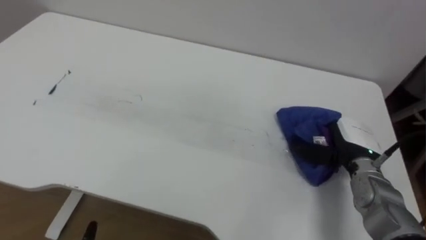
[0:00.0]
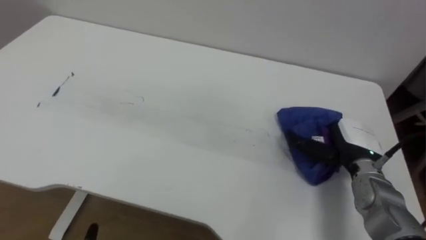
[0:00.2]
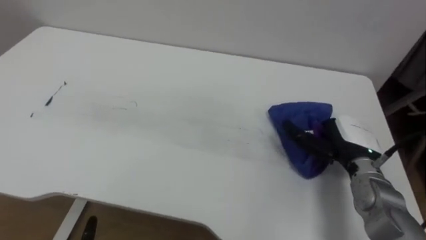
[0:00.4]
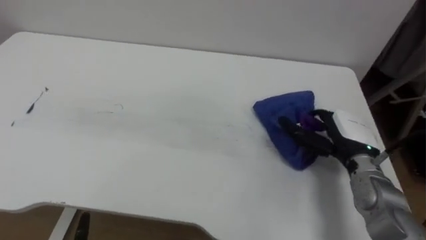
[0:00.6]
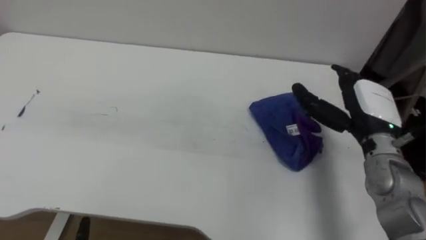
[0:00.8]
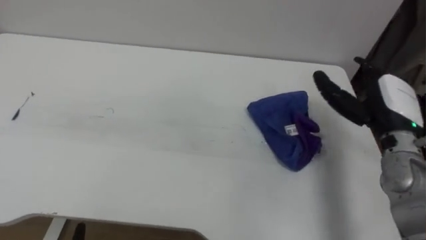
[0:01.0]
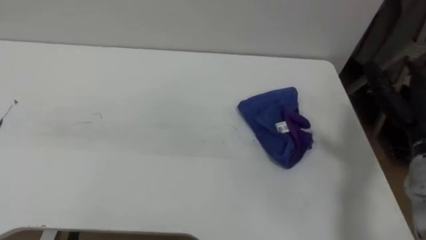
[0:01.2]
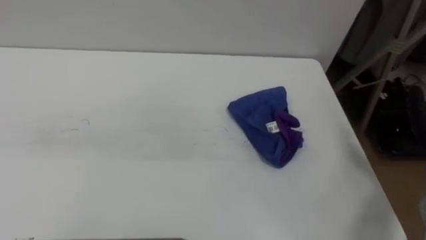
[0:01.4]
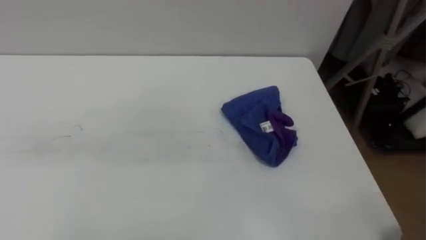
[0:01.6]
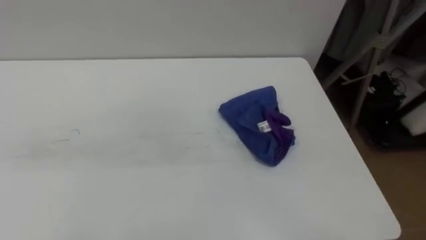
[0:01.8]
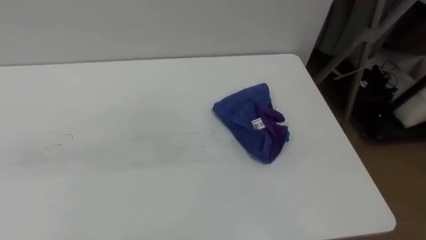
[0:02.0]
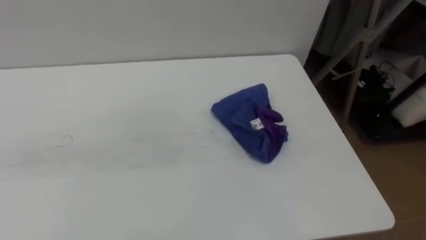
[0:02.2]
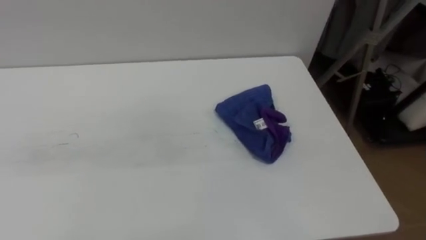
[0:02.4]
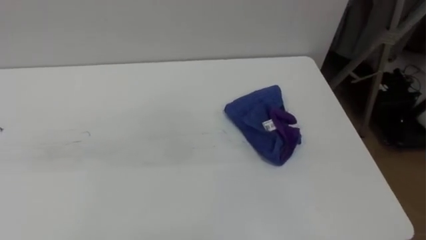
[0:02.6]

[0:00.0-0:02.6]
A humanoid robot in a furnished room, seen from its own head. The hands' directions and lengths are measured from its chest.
Task of the whole recording: Wipe the blue pen marks off the table with the rag.
0:00.0 to 0:01.2: The right hand is displaced upward and to the right by some 15 cm, and opens up.

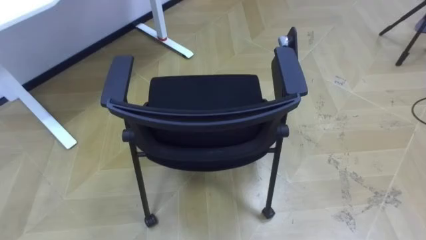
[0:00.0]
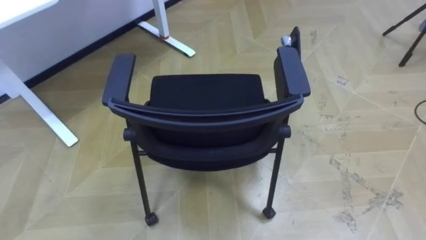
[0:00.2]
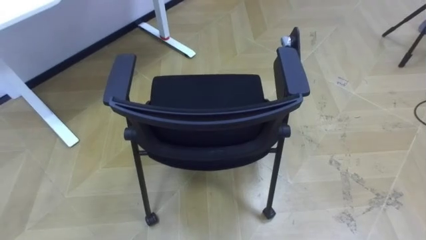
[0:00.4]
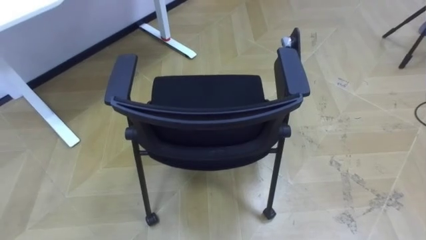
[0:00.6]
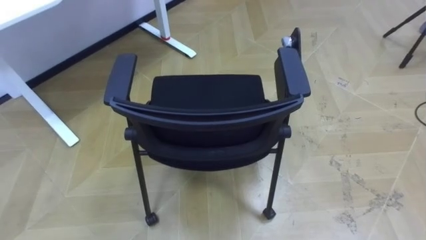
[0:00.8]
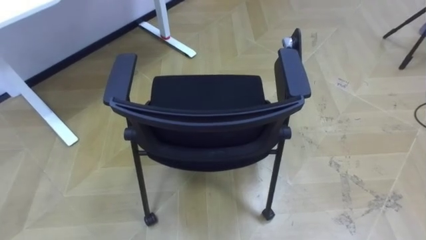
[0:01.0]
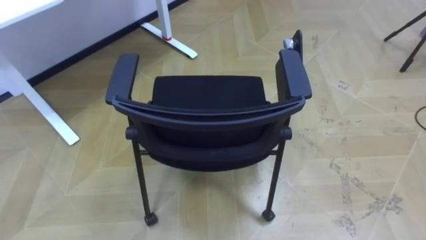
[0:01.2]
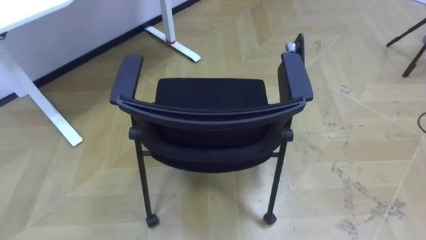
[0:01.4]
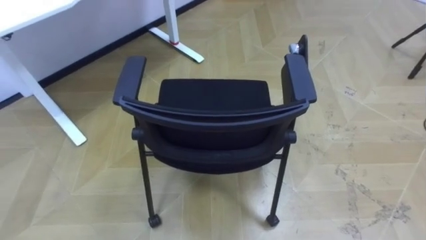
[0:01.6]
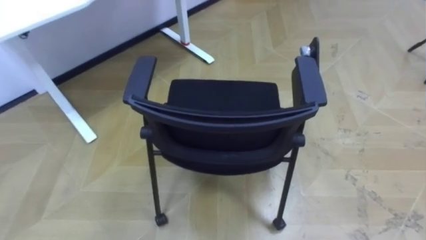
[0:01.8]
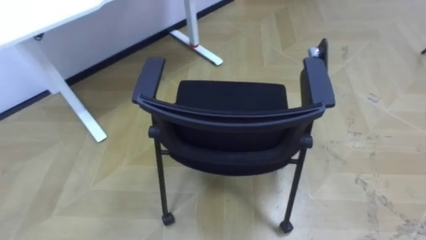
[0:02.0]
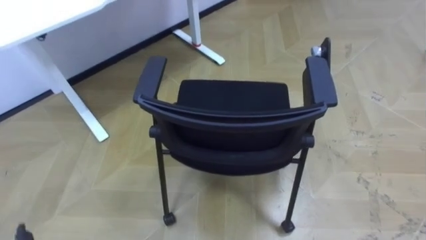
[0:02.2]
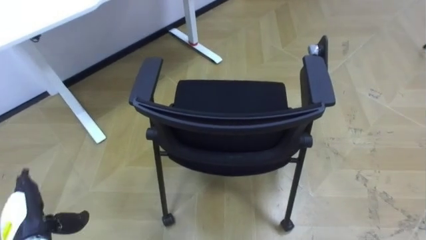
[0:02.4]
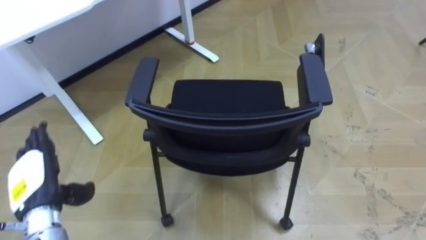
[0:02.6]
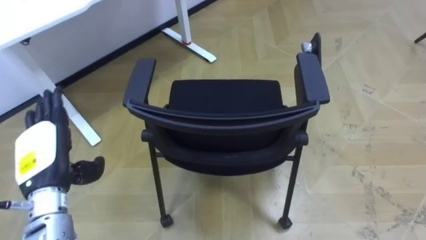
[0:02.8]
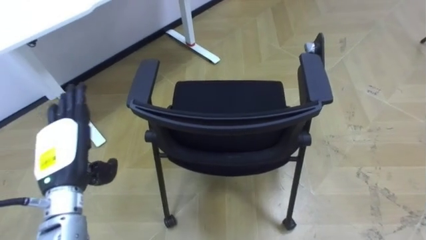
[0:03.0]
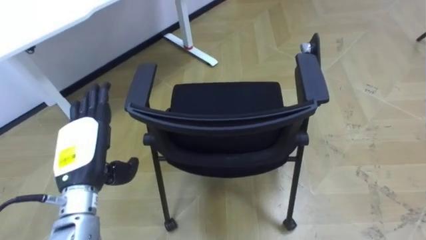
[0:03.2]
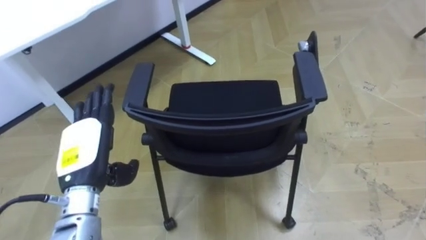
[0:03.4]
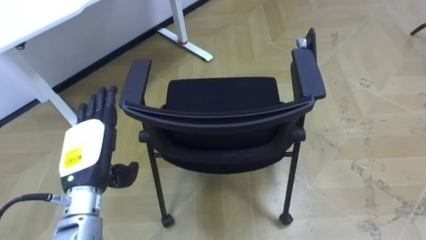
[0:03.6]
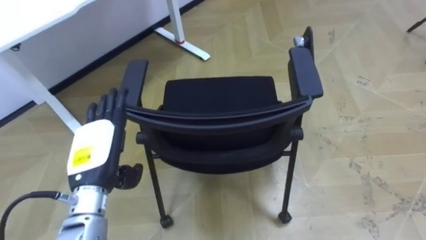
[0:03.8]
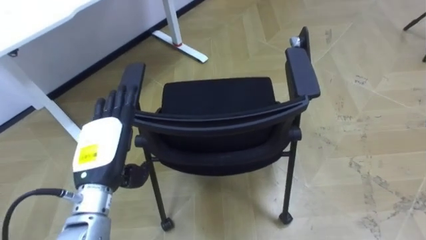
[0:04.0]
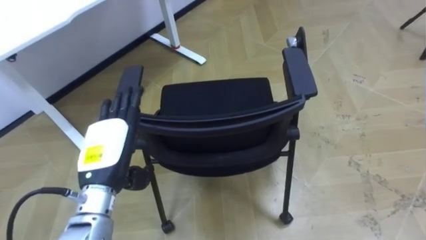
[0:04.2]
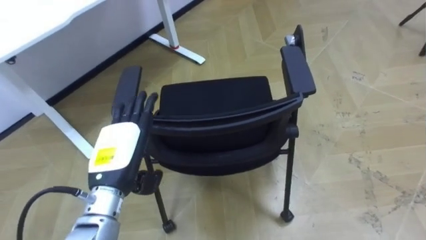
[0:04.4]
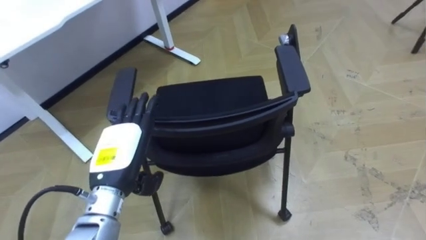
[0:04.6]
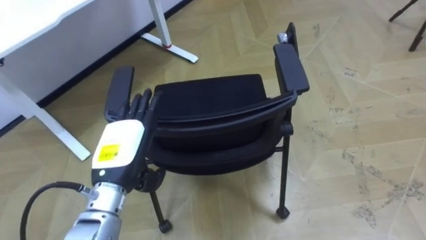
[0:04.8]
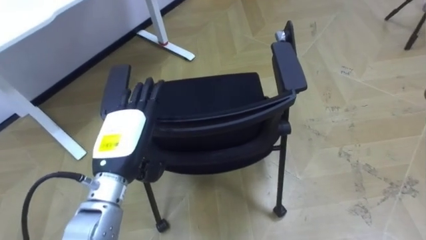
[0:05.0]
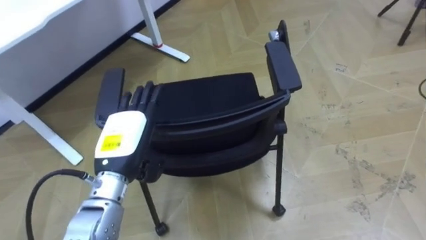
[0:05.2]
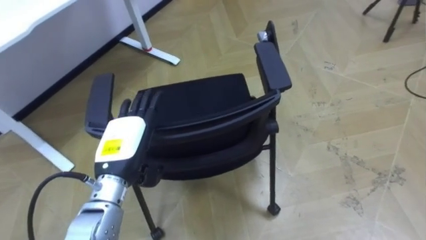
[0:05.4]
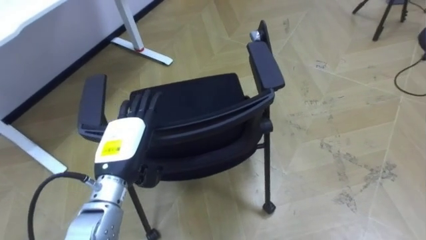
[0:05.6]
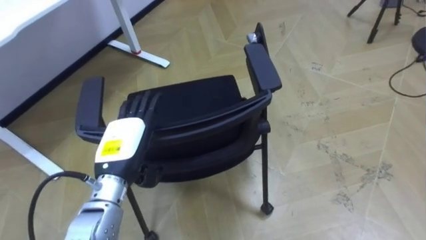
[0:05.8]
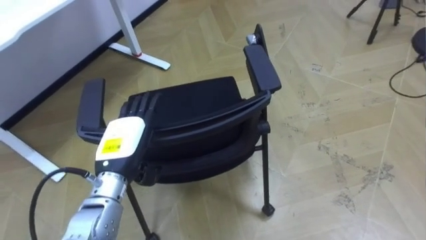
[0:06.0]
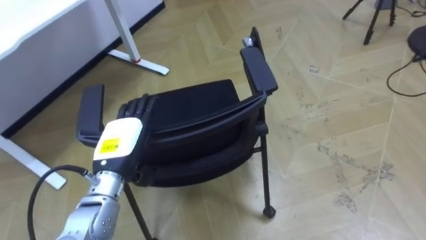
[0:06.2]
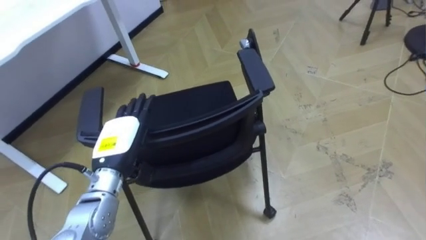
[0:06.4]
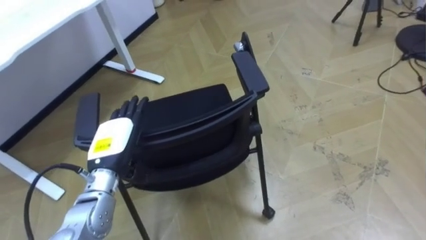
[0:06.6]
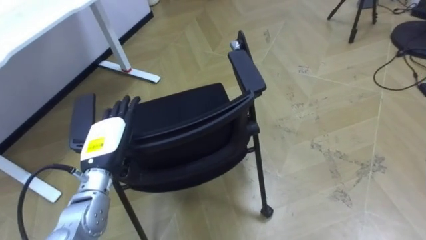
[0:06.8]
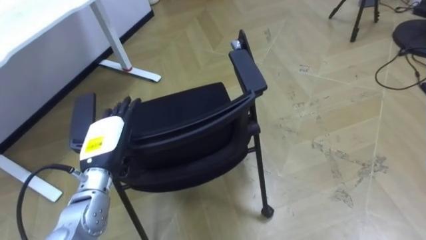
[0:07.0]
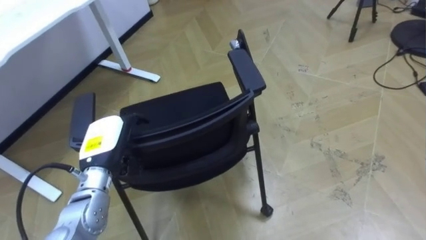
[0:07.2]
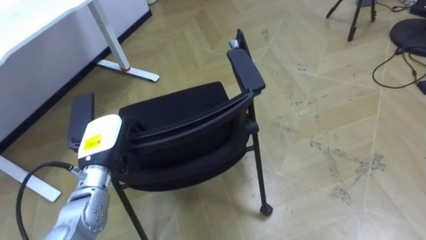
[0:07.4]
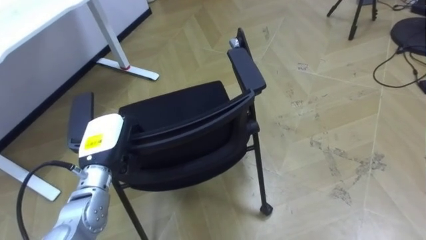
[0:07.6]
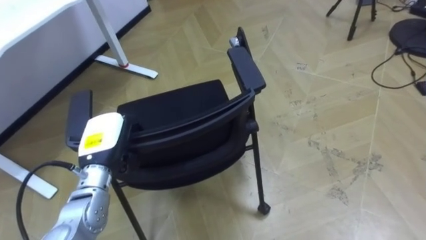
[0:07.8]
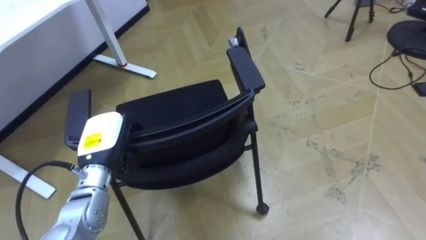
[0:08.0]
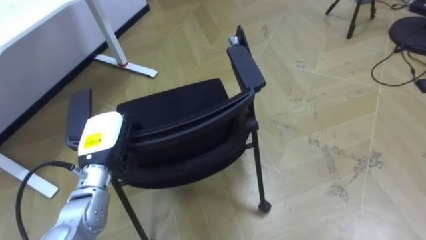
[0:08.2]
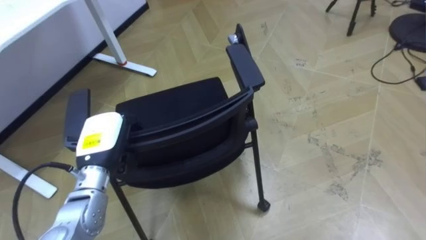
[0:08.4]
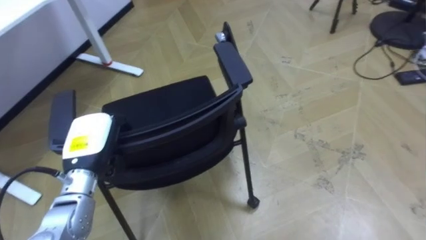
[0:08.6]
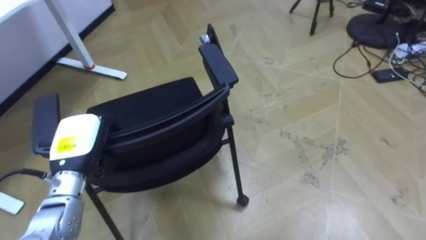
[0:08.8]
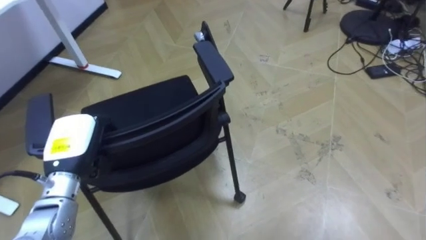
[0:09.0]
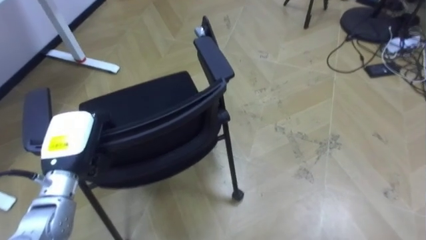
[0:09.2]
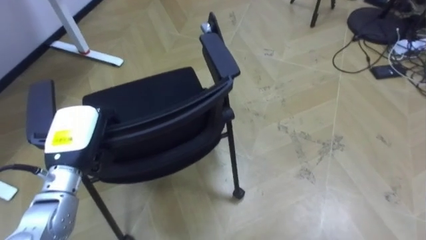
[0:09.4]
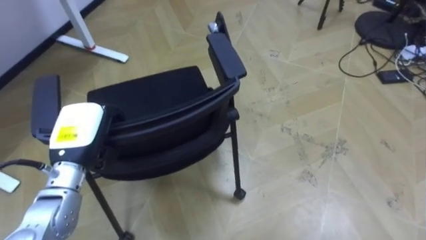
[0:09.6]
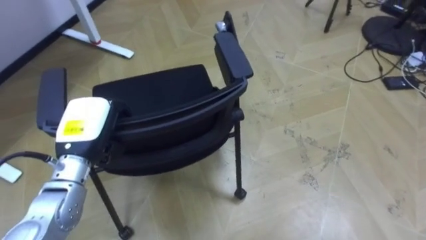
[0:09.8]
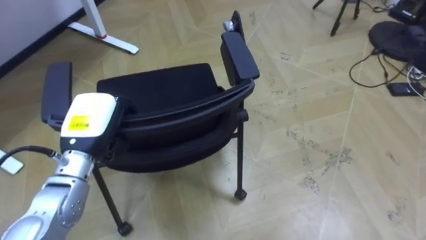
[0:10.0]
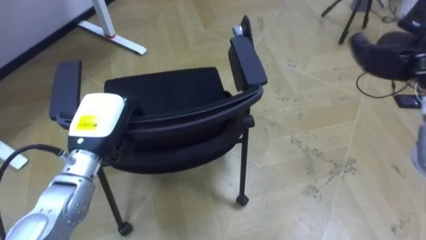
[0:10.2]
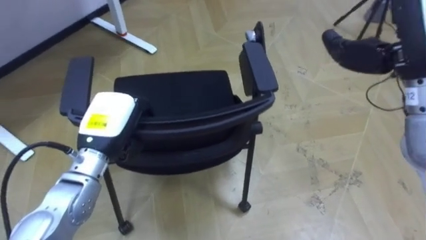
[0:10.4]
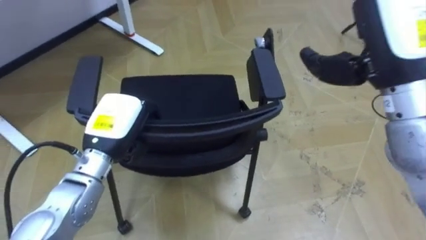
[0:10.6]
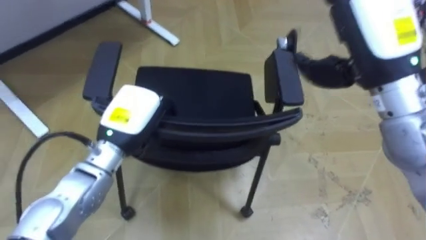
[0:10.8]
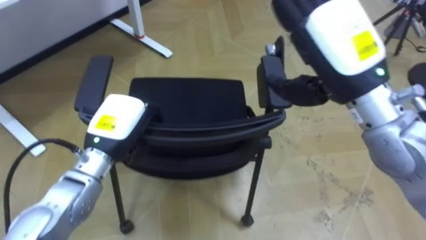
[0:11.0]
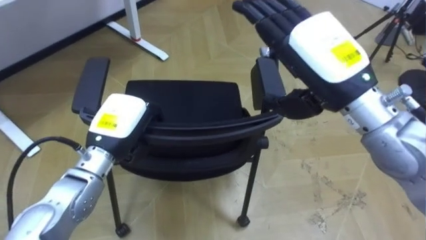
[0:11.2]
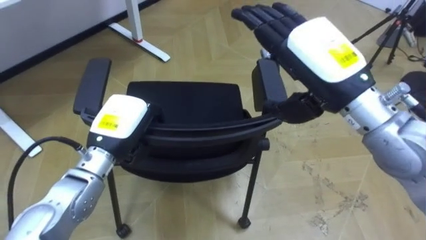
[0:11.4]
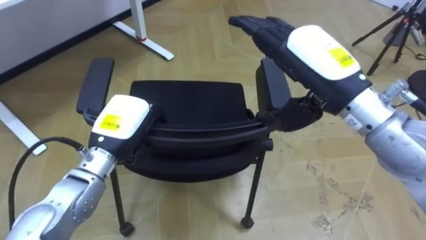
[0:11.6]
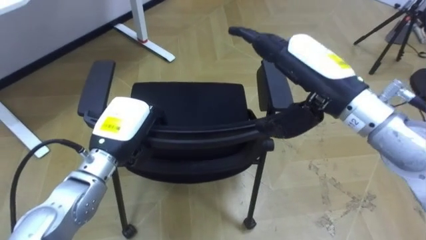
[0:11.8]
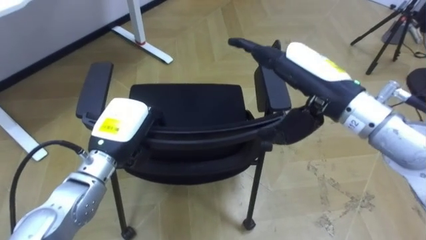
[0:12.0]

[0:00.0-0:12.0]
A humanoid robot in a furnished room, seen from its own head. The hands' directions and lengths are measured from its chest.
Task of the whole recording: Push the chair under the table.
0:03.0 to 0:04.4: The left hand is displaced to the right by about 10 cm.
0:06.0 to 0:07.6: The left hand moves about 5 cm, and closes up.
0:07.6 to 0:09.0: The left hand shifts by approximately 5 cm.
0:09.0 to 0:10.4: The left hand shifts some 5 cm to the right.
0:10.4 to 0:12.0: The right hand goes roughly 10 cm to the left and downward.

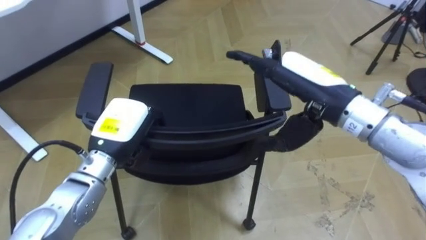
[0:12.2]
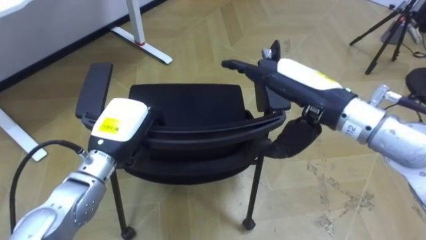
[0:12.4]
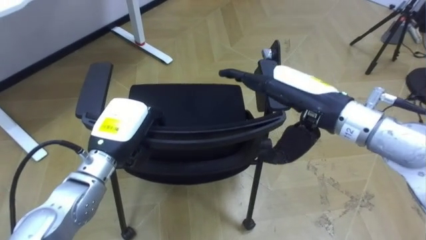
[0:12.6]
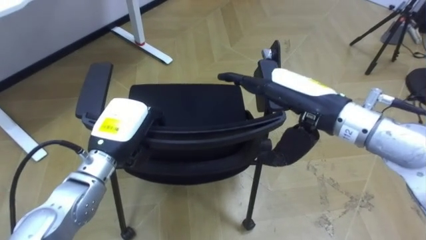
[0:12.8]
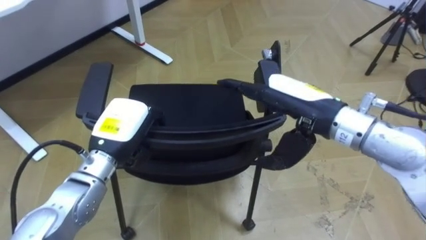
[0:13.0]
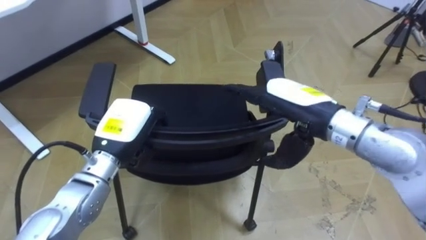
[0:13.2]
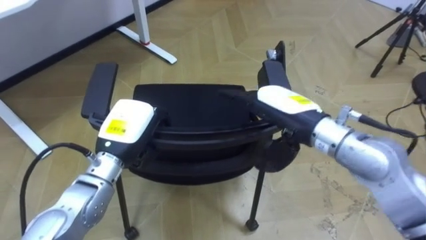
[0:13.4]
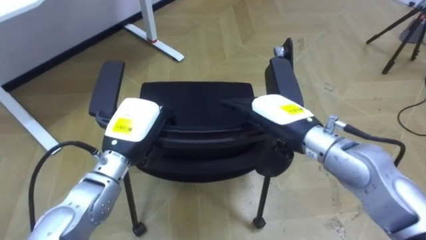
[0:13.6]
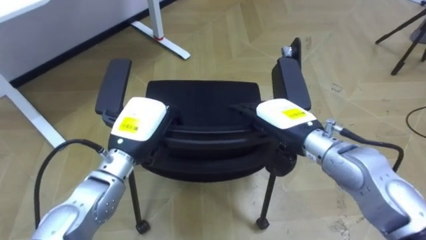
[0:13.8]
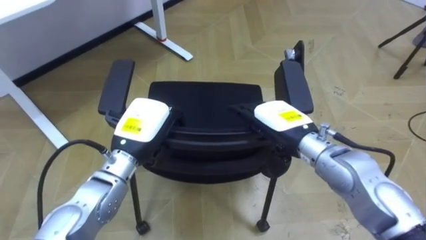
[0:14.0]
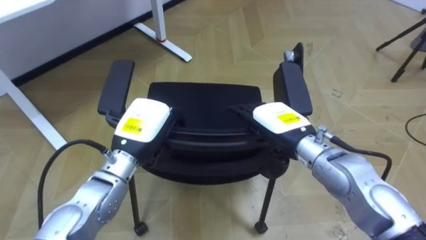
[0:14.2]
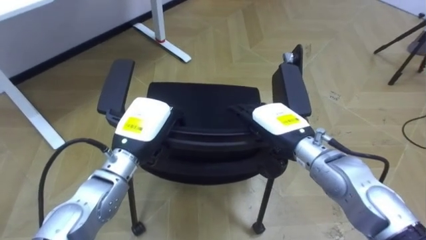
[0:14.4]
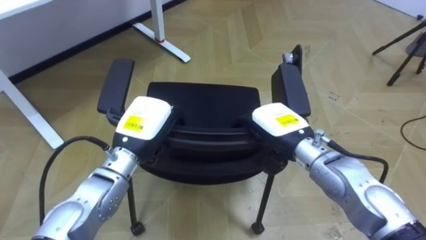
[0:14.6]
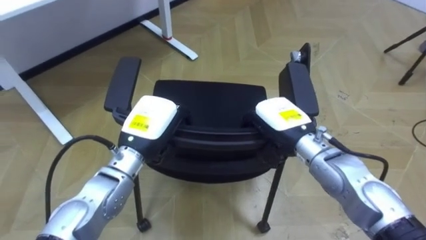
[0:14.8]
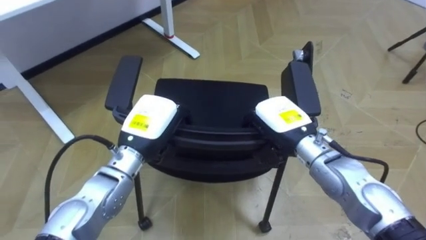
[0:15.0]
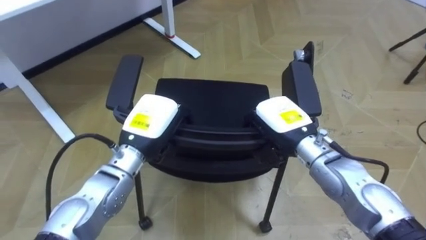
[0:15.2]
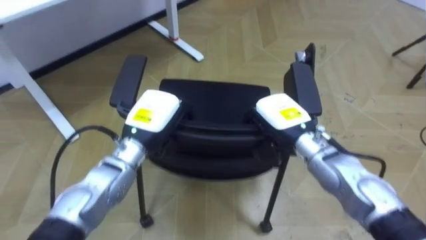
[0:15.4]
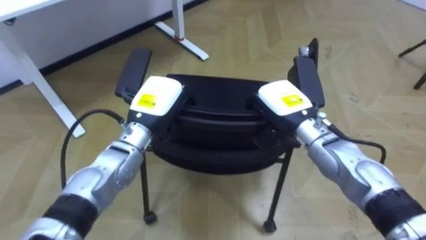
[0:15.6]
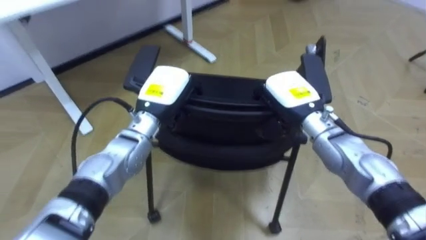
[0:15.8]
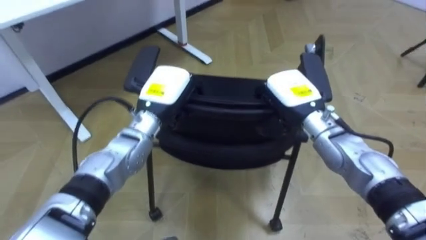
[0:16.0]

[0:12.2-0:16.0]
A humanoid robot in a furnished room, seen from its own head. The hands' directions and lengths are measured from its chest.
Task of the whole recording: Push the chair under the table.
0:12.2 to 0:13.4: The right hand goes approximately 5 cm downward.
0:13.4 to 0:14.8: The right hand shifts some 5 cm downward, and closes its fingers.
0:14.8 to 0:16.0: The right hand shifts by roughly 5 cm; the left hand goes roughly 5 cm forward.
